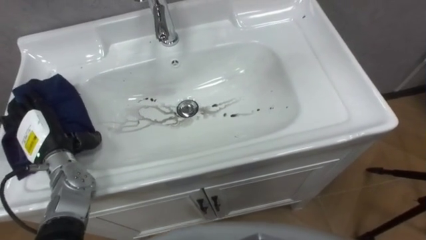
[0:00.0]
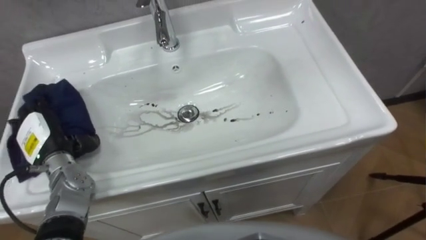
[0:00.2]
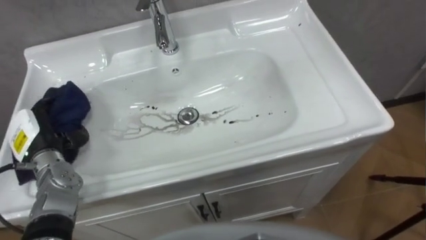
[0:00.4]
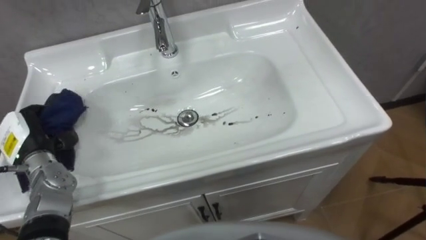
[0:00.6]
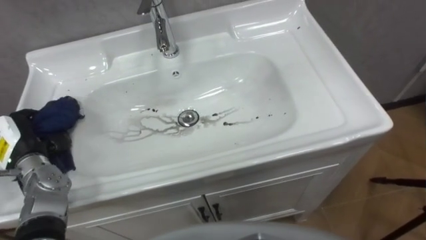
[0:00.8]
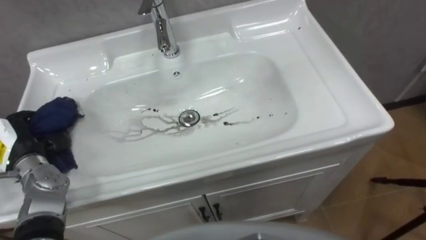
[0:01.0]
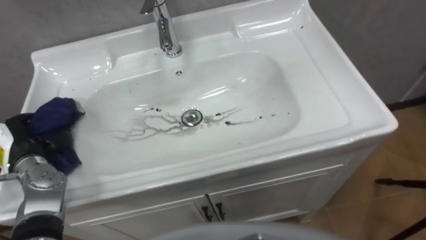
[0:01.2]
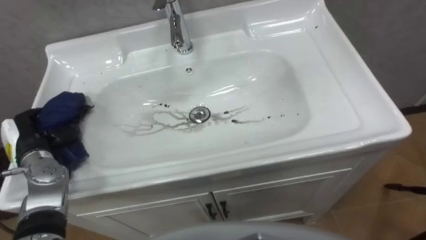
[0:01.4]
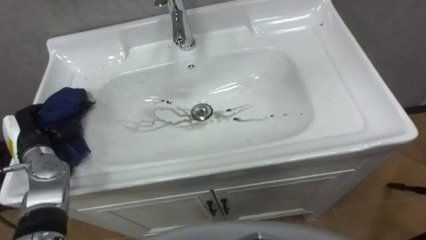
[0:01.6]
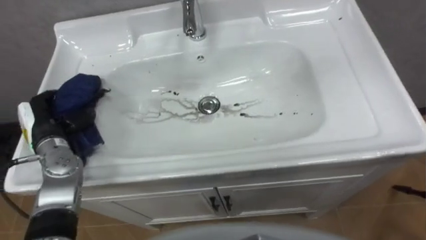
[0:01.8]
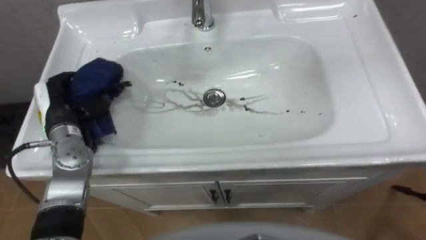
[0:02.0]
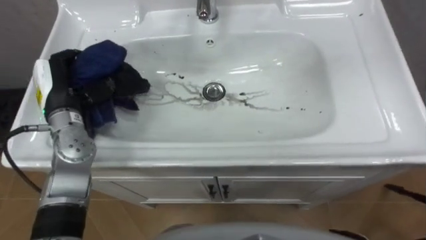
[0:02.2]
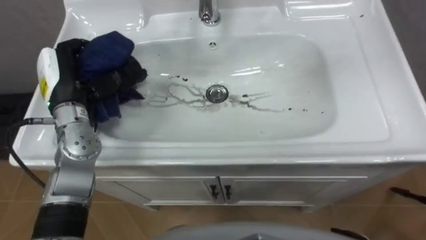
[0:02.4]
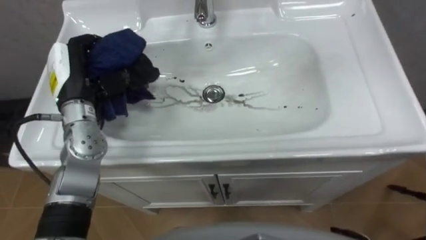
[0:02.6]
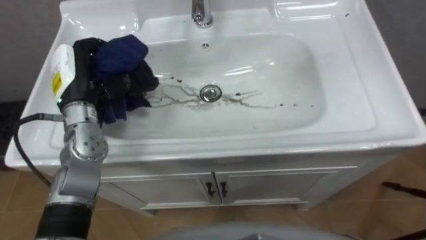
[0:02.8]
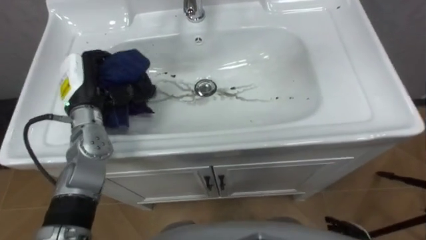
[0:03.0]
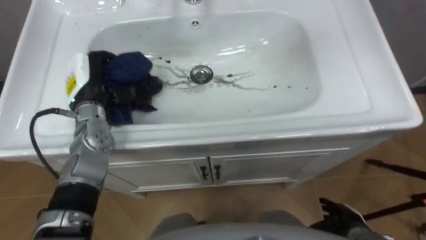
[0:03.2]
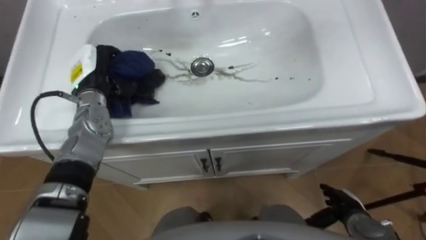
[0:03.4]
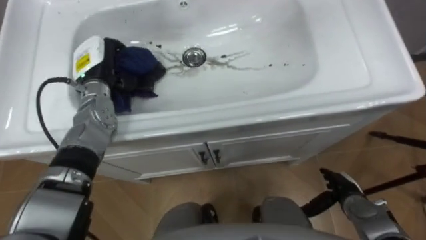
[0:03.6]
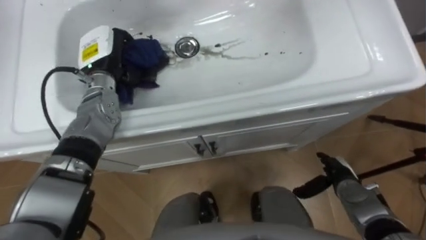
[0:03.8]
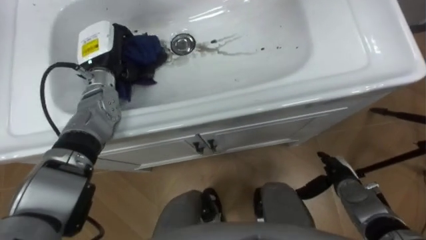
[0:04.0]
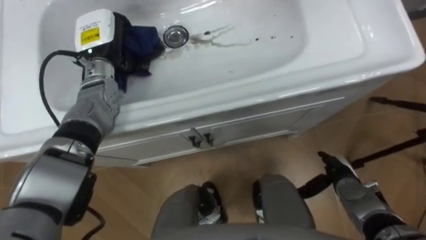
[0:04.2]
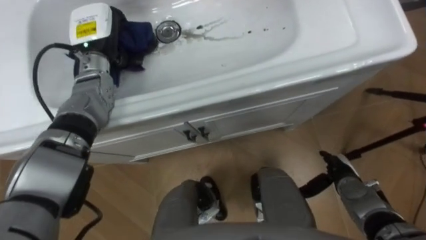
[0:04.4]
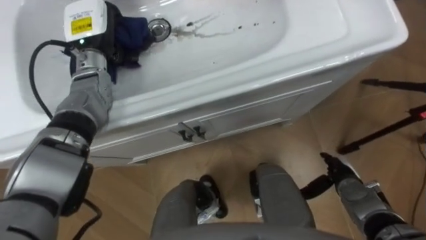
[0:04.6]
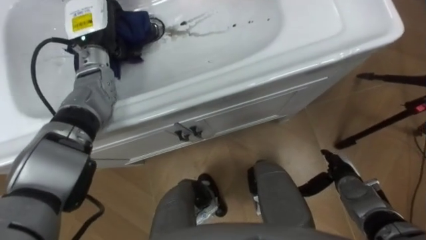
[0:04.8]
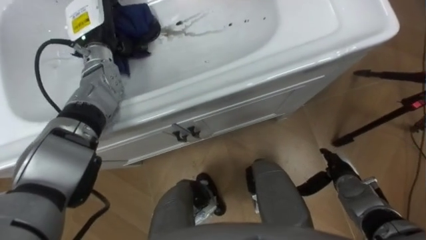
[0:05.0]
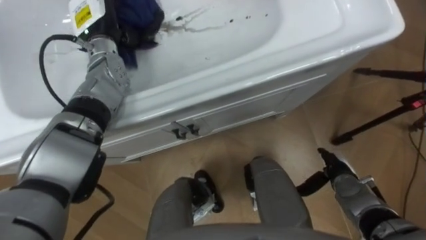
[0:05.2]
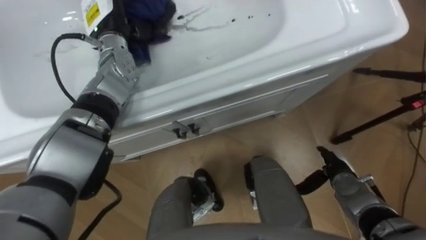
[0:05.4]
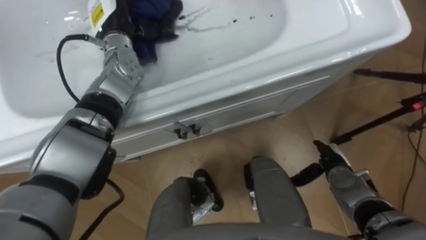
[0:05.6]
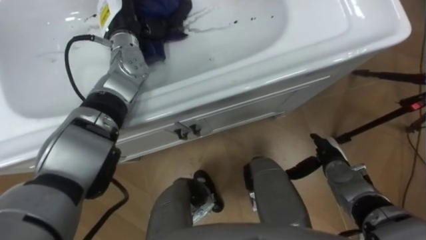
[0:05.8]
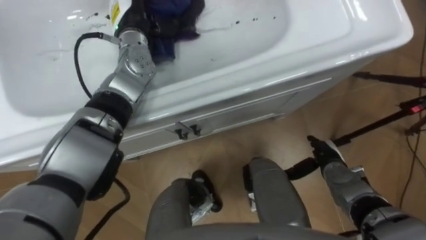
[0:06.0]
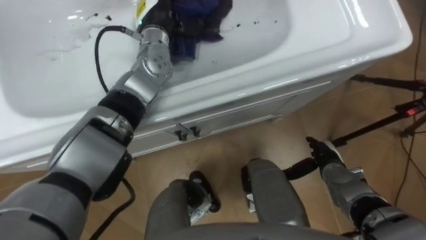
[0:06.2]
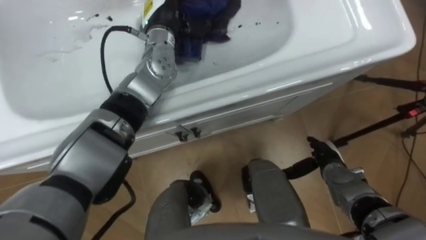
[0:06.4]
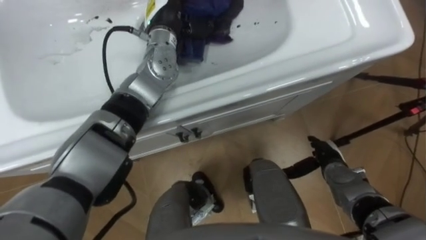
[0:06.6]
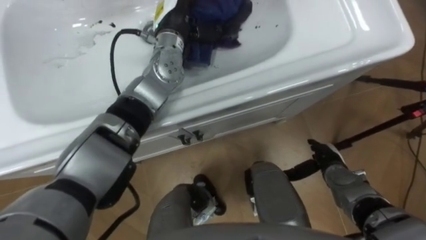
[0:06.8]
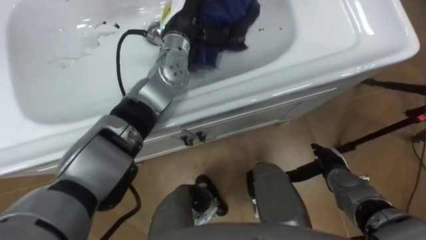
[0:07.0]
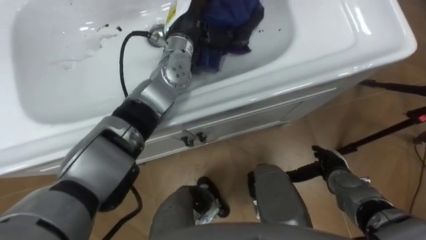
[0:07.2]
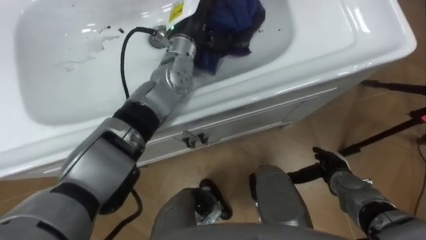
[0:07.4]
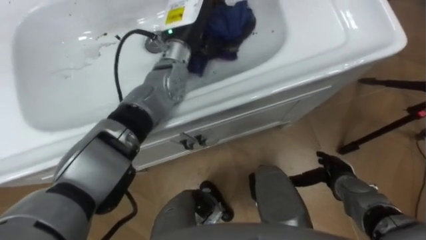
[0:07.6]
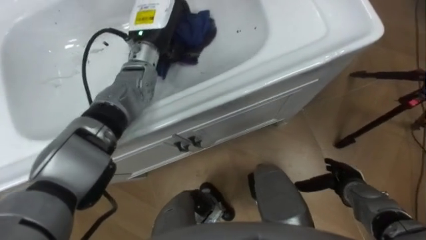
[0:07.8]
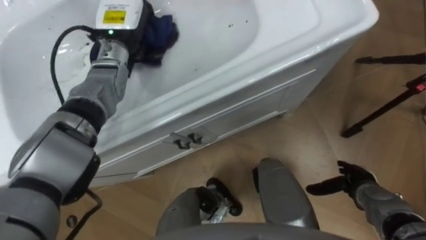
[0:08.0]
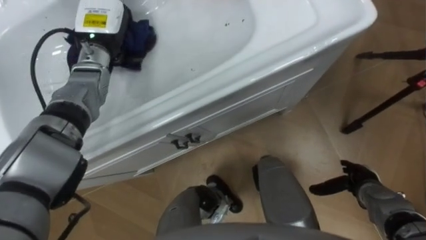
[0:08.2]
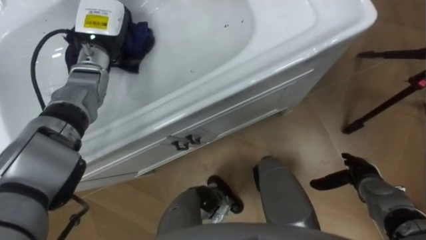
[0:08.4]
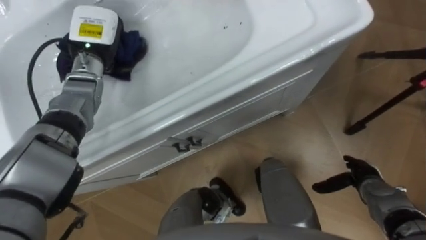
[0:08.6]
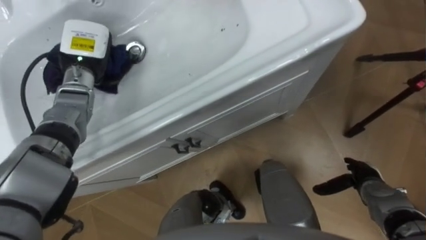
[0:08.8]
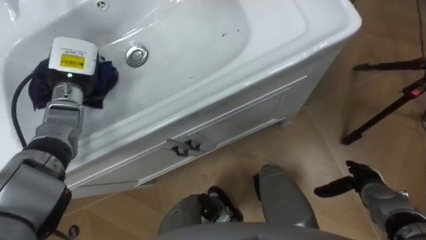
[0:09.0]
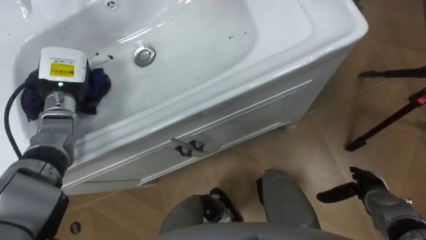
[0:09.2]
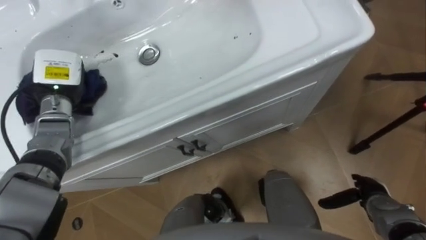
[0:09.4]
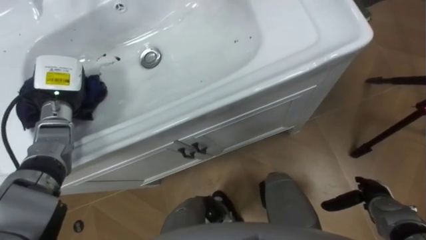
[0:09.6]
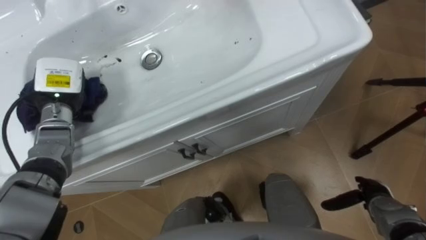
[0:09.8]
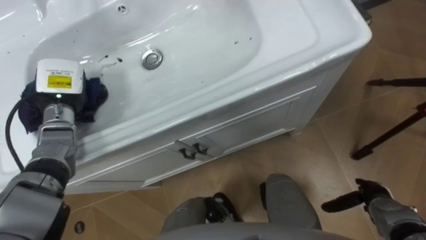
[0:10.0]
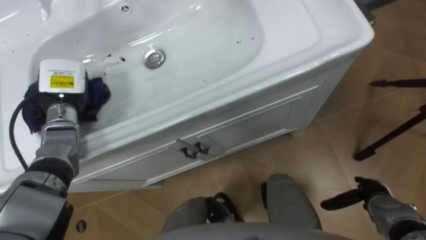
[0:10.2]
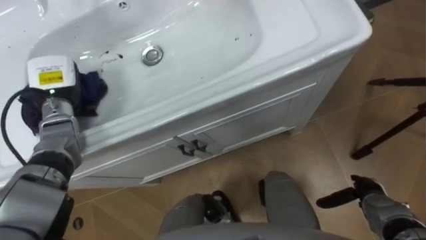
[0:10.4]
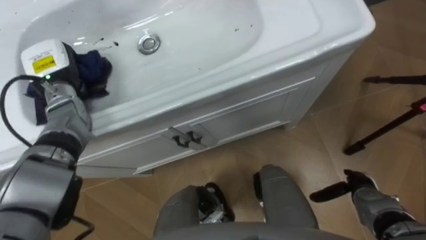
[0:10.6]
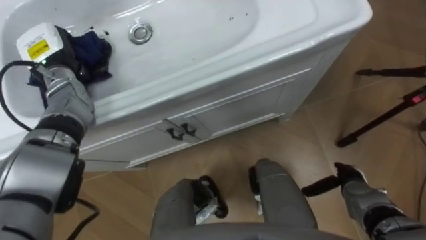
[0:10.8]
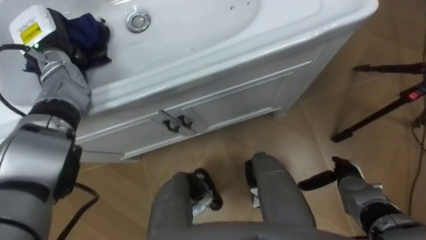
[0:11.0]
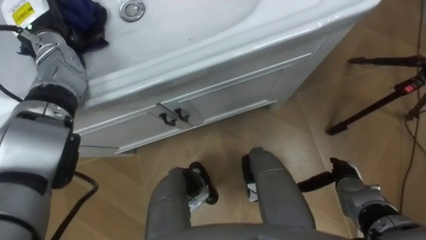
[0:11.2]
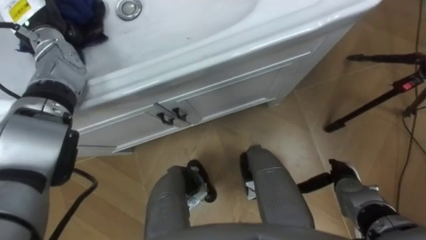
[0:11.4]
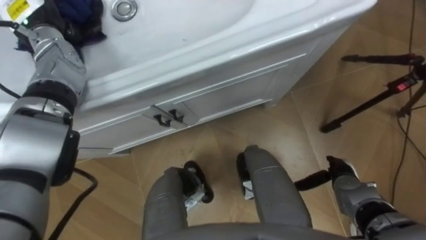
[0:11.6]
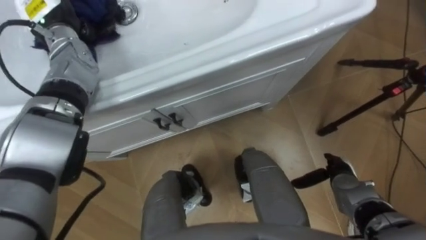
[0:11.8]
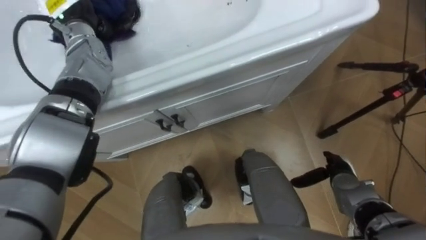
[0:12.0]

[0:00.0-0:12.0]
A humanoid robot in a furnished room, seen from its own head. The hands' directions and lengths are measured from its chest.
Task of the whole recording: Use the cloth on the right to wipe away the black stain in the sink.
0:00.0 to 0:01.6: The left hand closes.
0:01.6 to 0:03.0: The left hand shifts approximately 15 cm to the right, upward and forward.
0:03.0 to 0:04.4: The left hand shifts approximately 10 cm forward.
0:04.4 to 0:06.0: The left hand travels to the right by approximately 10 cm.
0:06.0 to 0:07.6: The left hand travels to the right by roughly 10 cm.
0:07.6 to 0:09.0: The left hand is displaced to the left by about 25 cm; the right hand goes roughly 5 cm to the right.
0:09.0 to 0:10.4: The left hand ends up some 5 cm from where it was.
0:10.4 to 0:12.0: The right hand shifts roughly 10 cm to the left and forward. Meanwhile the left hand heads forward, upward and to the right, covering roughly 15 cm.

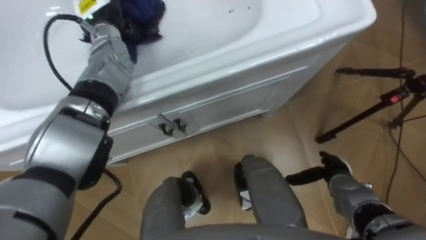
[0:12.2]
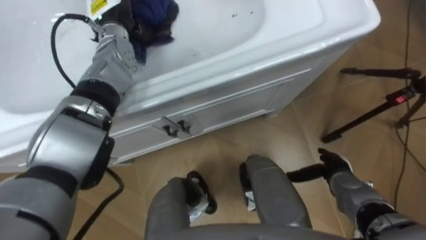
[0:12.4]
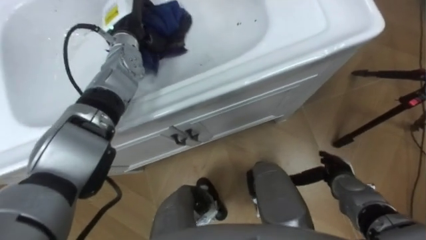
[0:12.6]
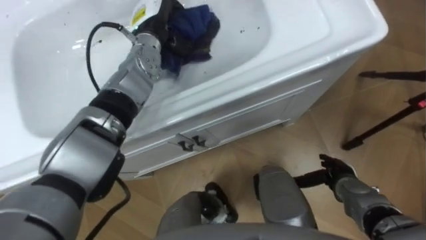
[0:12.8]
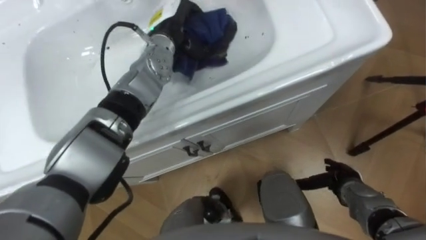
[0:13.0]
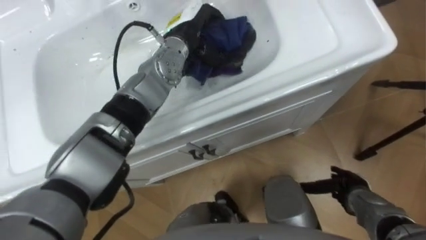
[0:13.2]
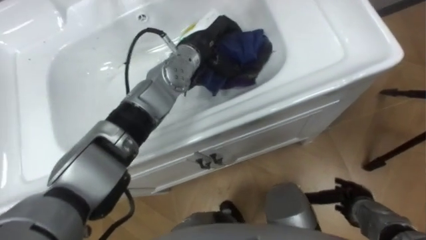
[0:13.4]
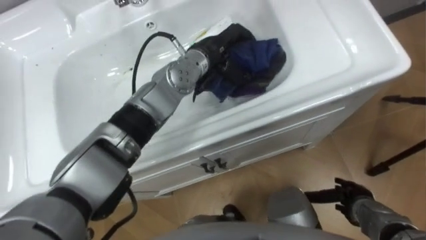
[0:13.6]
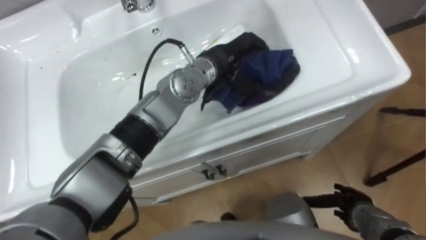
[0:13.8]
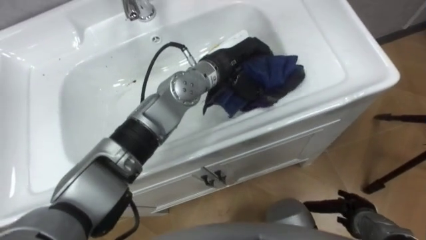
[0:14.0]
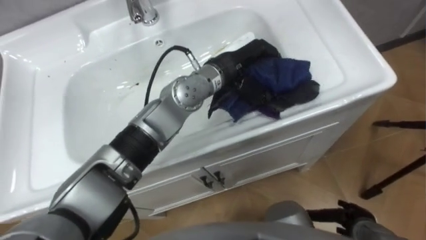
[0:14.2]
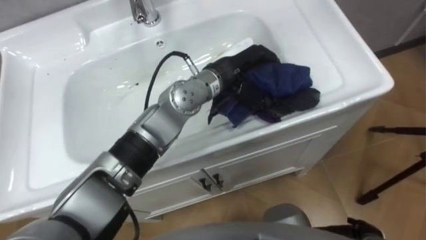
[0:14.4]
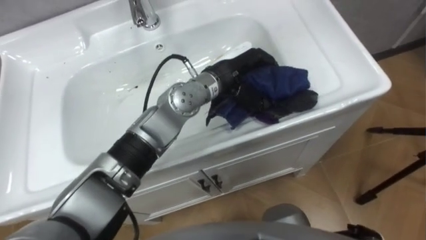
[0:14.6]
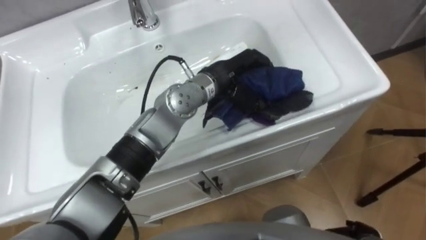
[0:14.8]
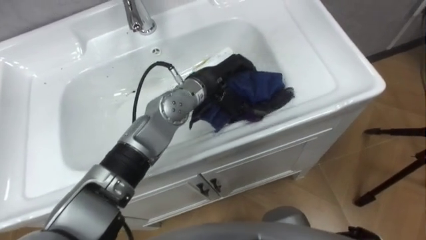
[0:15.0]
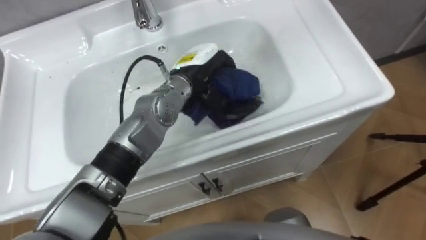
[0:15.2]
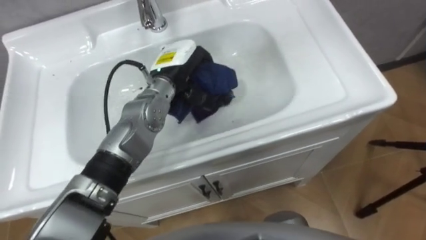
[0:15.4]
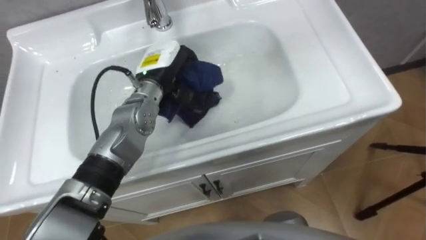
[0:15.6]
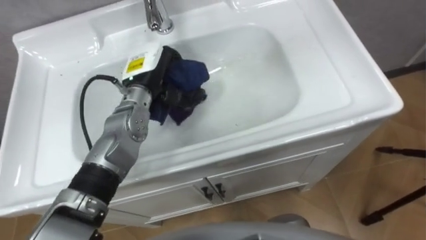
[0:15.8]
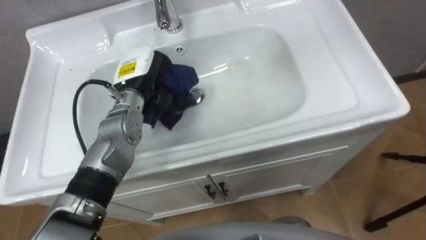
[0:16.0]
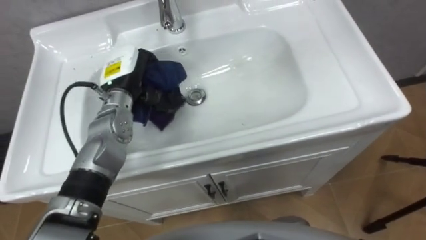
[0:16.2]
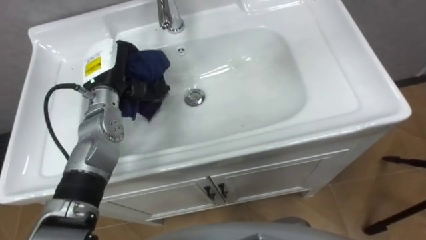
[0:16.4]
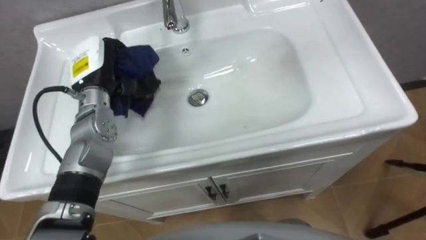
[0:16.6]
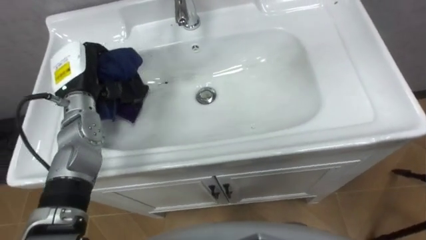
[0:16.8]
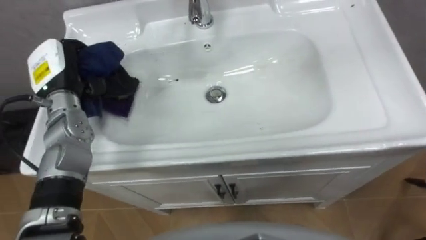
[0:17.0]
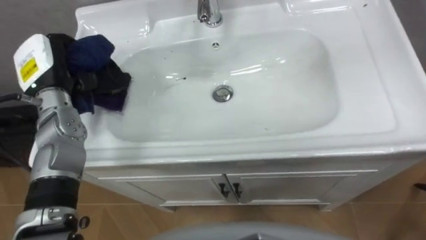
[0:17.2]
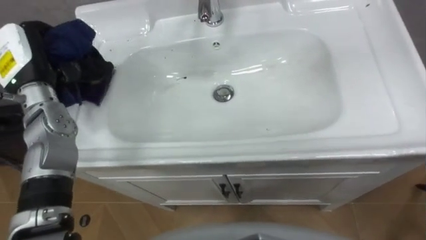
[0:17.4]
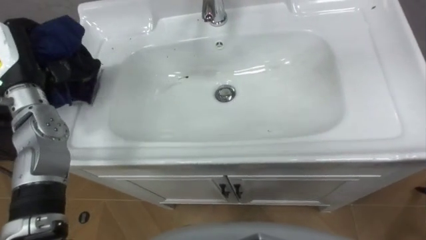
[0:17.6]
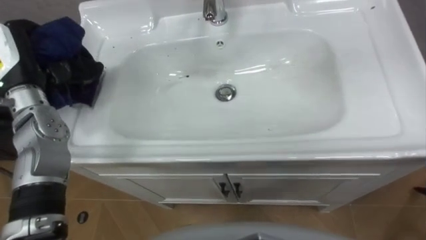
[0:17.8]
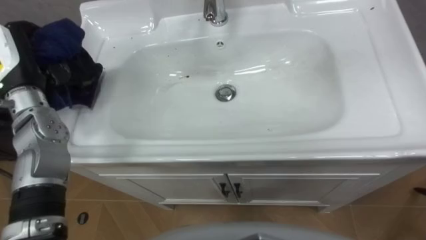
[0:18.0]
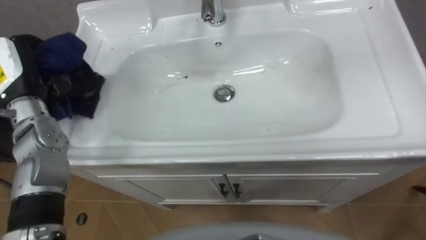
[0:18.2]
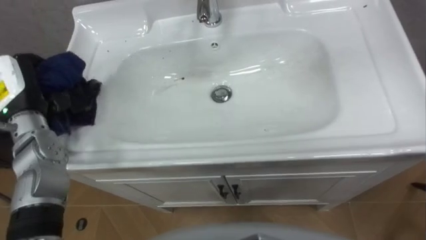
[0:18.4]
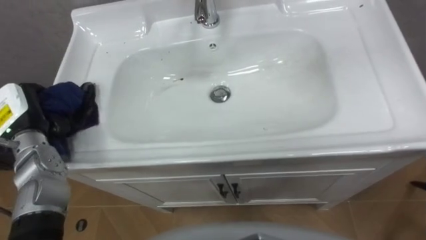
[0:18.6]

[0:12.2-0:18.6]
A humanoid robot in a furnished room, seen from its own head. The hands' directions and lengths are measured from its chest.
Task of the whole recording: Use the cloth on the right to wipe away the black stain in the sink.
0:12.2 to 0:13.8: The left hand moves to the right, roughly 20 cm, while the right hand is displaced backward by approximately 5 cm.
0:13.8 to 0:15.4: The left hand moves to the left, approximately 10 cm.
0:15.4 to 0:17.0: The left hand goes some 20 cm to the left.
0:17.0 to 0:18.6: The left hand moves backward and to the left, roughly 10 cm.
